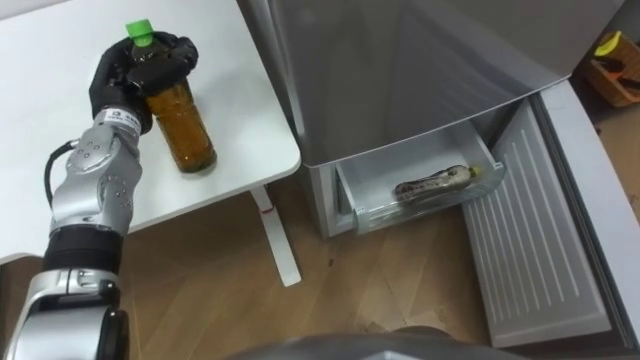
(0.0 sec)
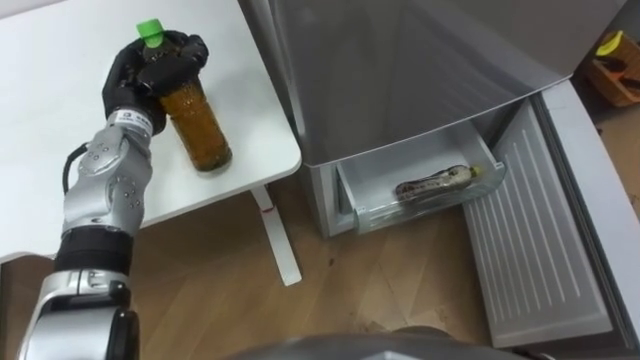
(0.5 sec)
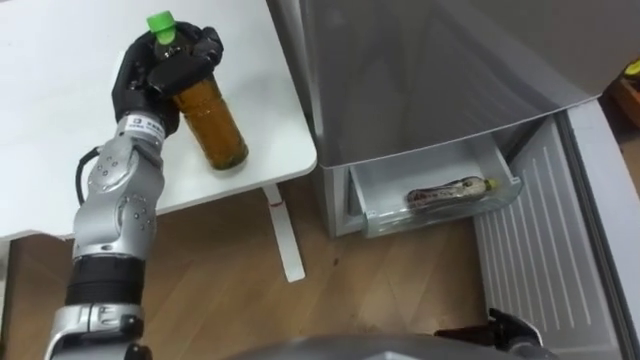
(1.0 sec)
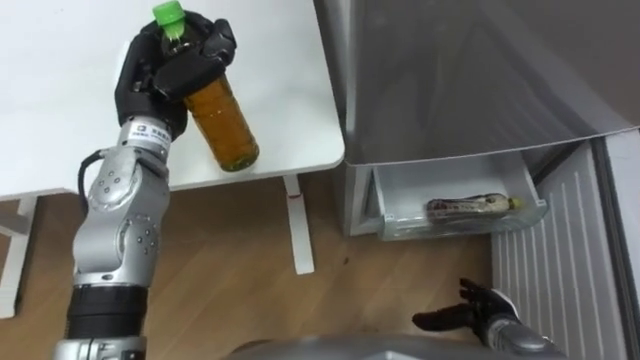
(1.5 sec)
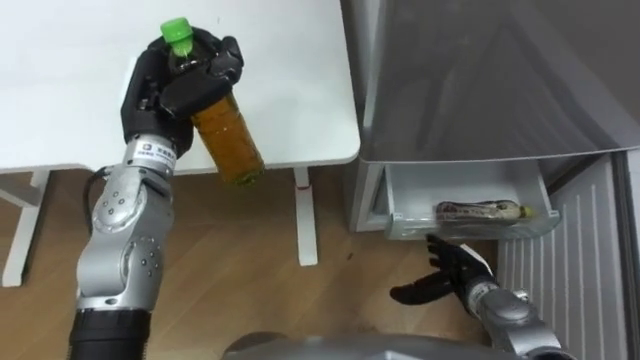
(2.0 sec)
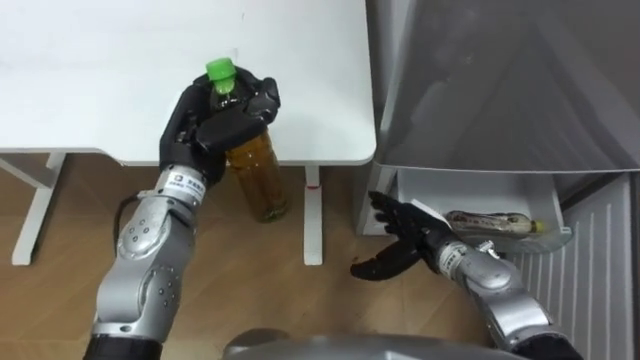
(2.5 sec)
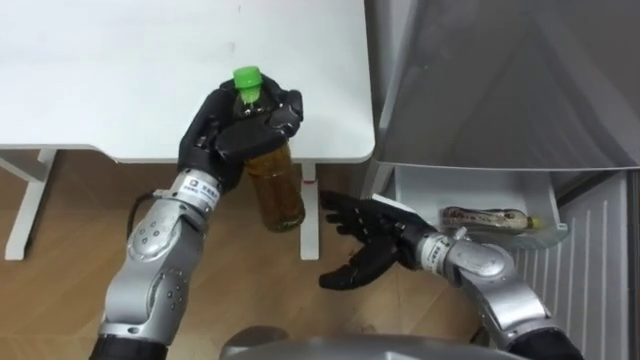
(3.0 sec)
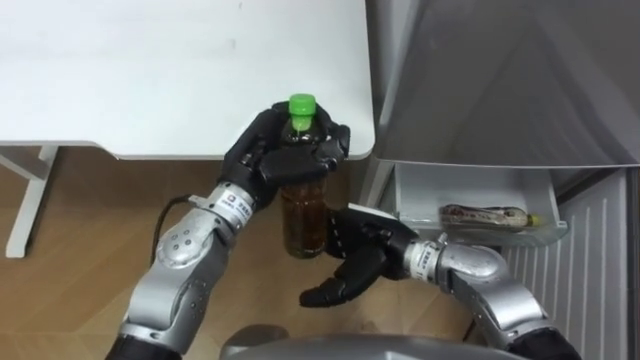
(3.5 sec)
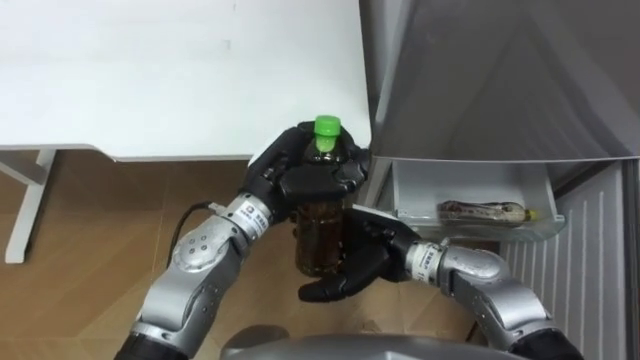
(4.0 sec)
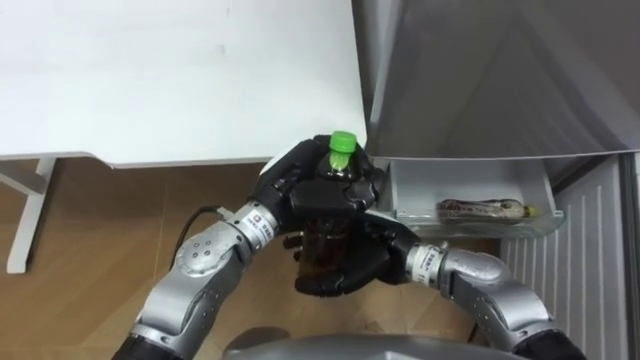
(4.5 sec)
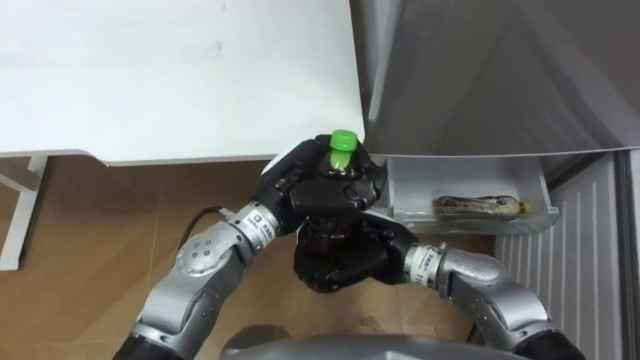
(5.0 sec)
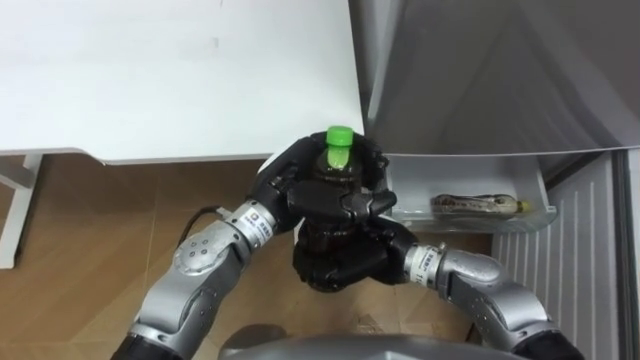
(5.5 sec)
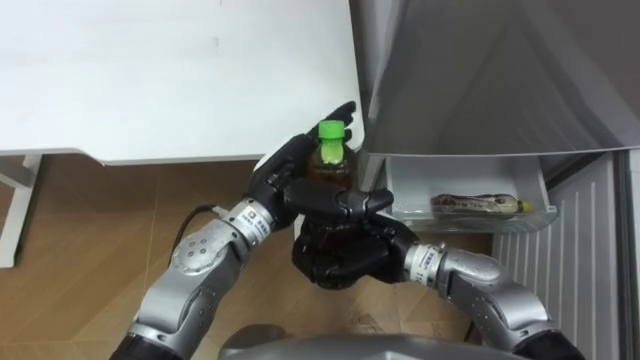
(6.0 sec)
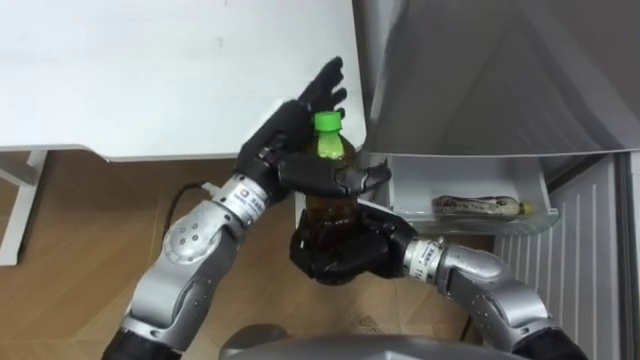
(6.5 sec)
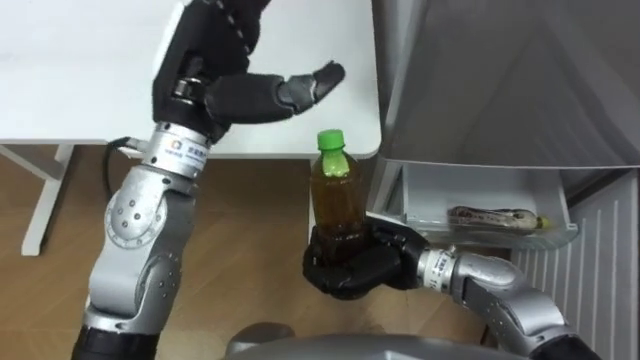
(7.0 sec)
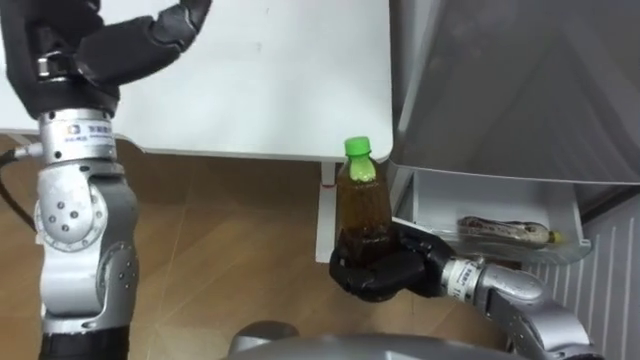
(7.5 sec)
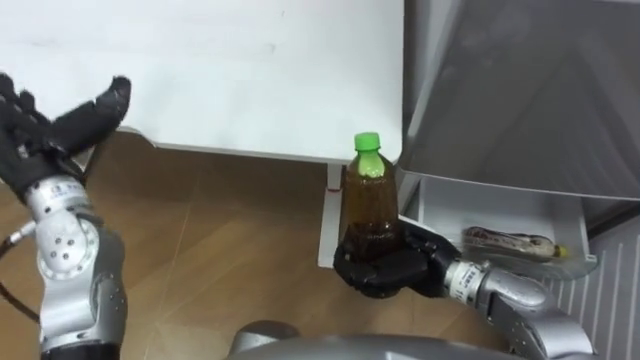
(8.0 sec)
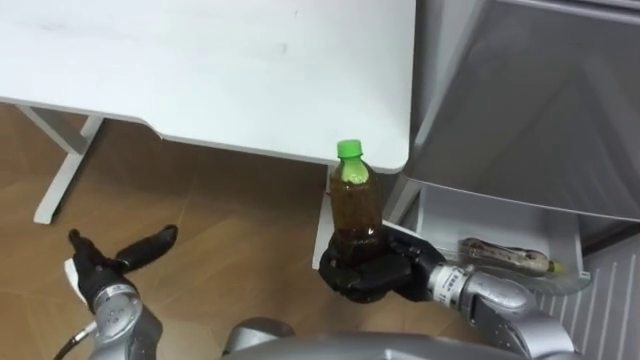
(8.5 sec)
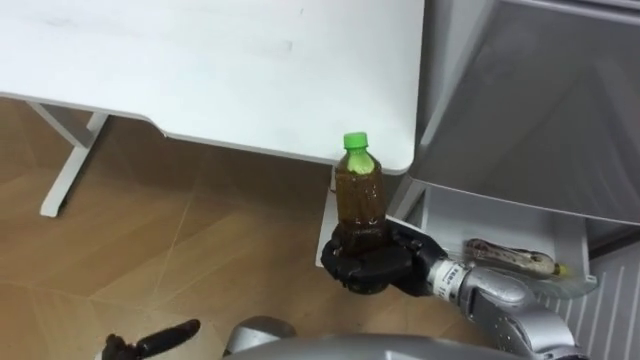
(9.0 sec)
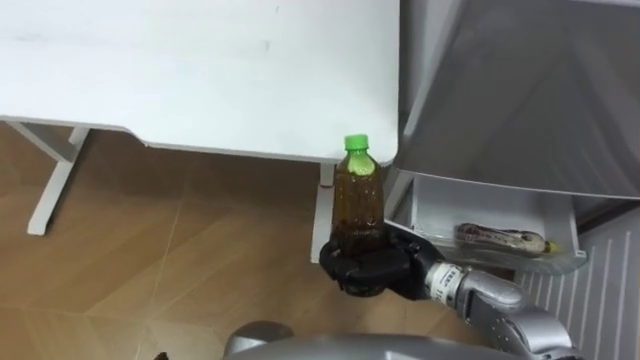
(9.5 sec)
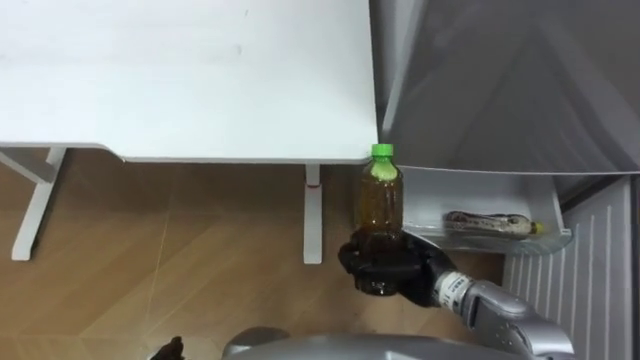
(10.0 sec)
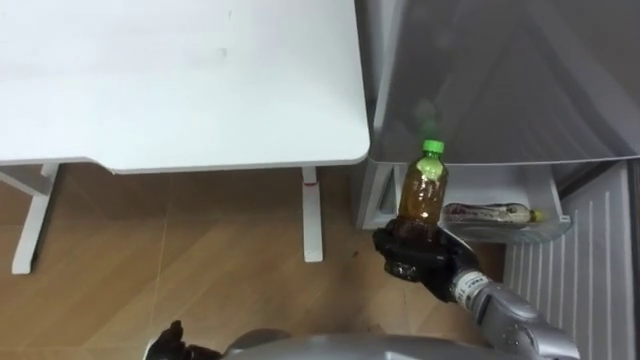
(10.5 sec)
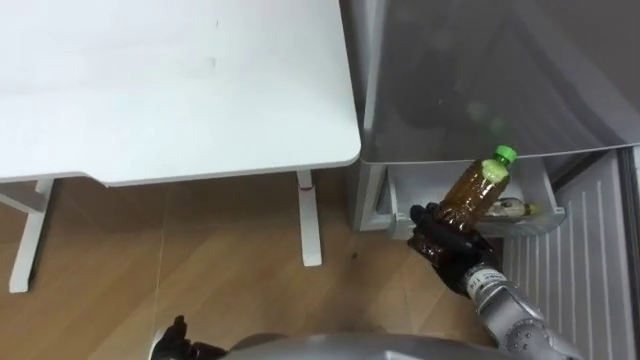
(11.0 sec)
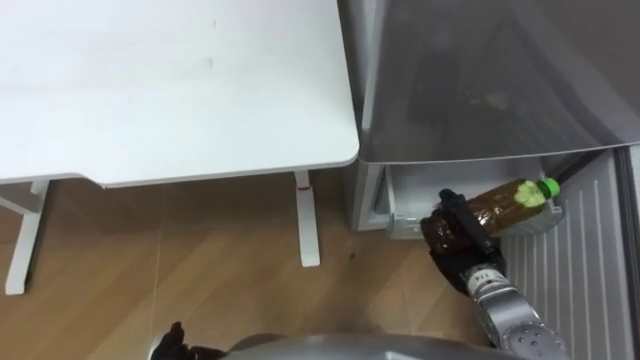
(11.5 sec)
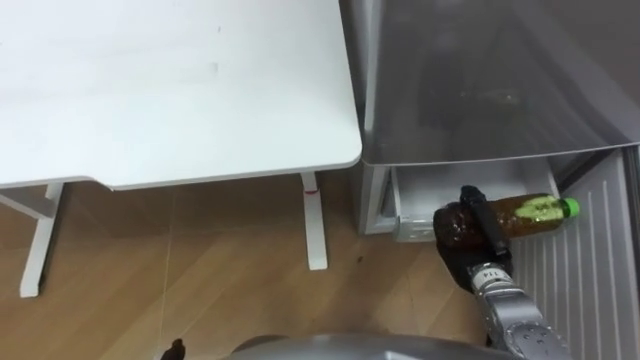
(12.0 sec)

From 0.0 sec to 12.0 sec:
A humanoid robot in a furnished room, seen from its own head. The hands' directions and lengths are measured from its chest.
Task of the whole recording: Place the drink on the table on the bottom shelf of the refrigerator, then close the drawer and the refrigerator door.
From 0.0 sec to 2.0 sec: The left hand shifts some 10 cm to the right and backward.
From 2.0 sec to 4.0 sec: The right hand shifts approximately 20 cm to the left and upward. Meanwhile the left hand shifts about 15 cm to the right and downward.
From 4.0 sec to 6.0 sec: The left hand opens; the right hand closes its fingers.
From 6.0 sec to 8.0 sec: The right hand shifts about 5 cm to the right. The left hand heads to the left, covering approximately 25 cm.
From 10.0 sec to 12.0 sec: The right hand travels to the right by roughly 10 cm.

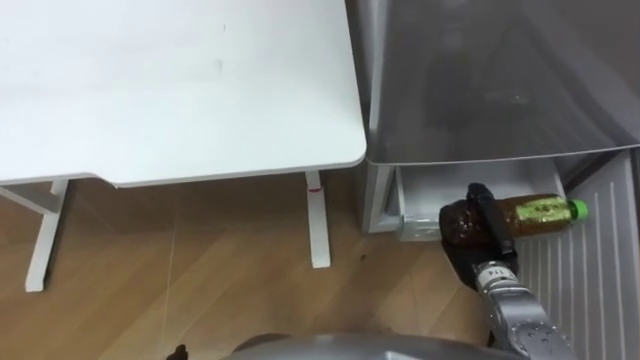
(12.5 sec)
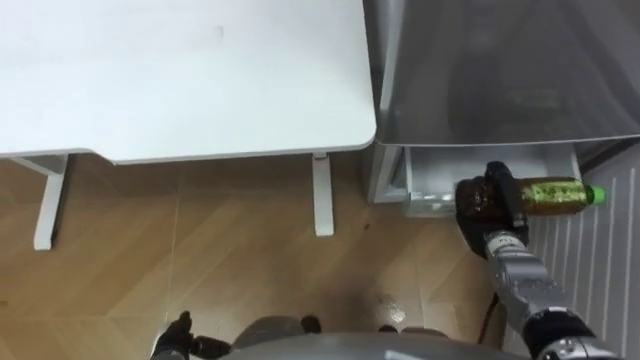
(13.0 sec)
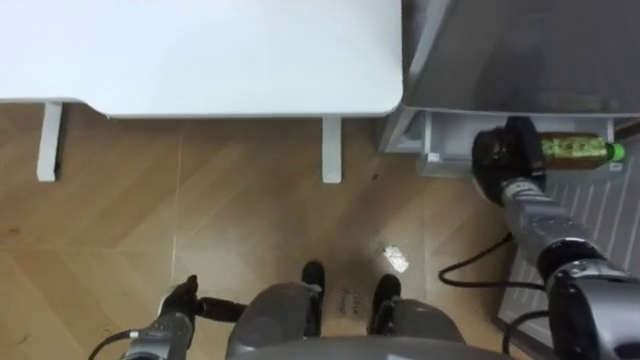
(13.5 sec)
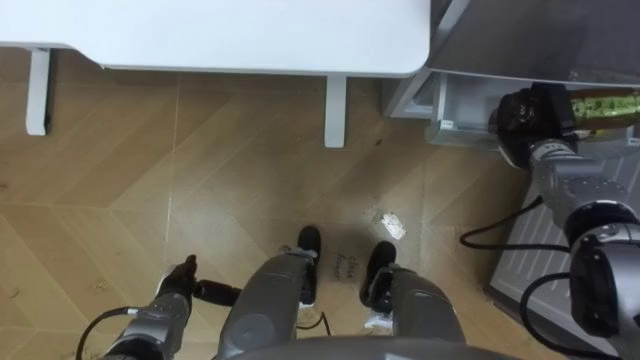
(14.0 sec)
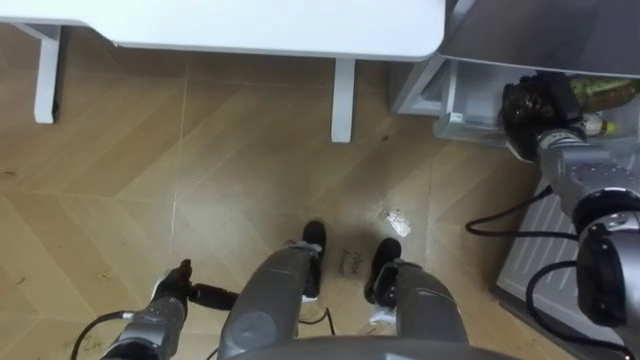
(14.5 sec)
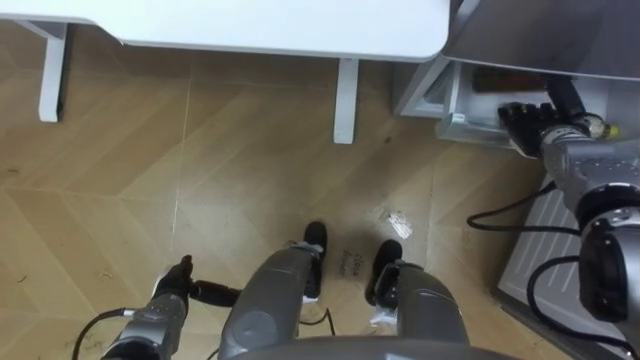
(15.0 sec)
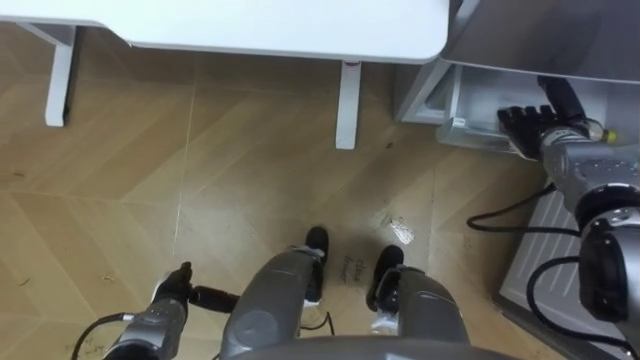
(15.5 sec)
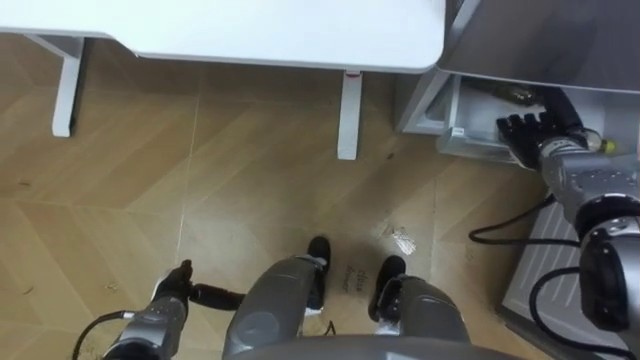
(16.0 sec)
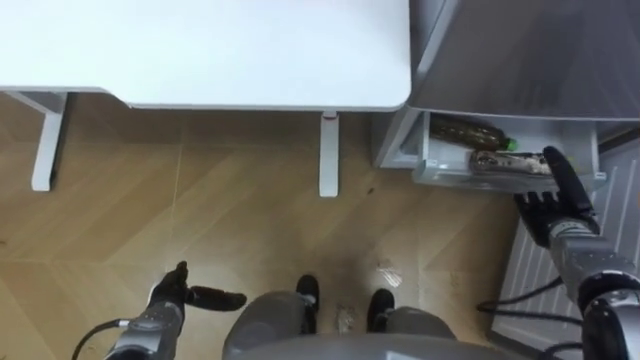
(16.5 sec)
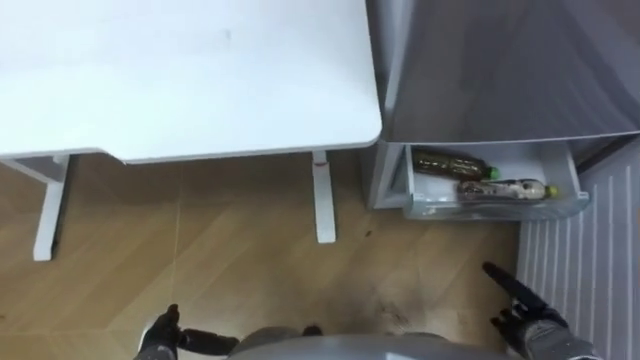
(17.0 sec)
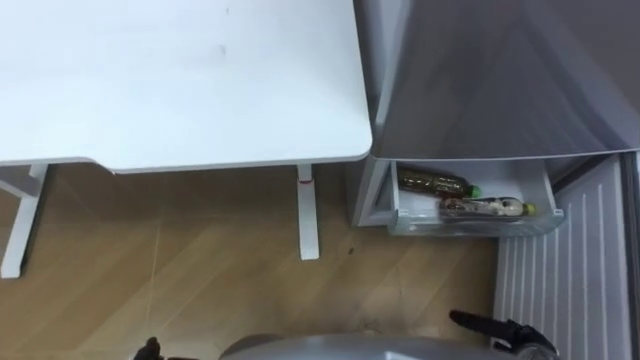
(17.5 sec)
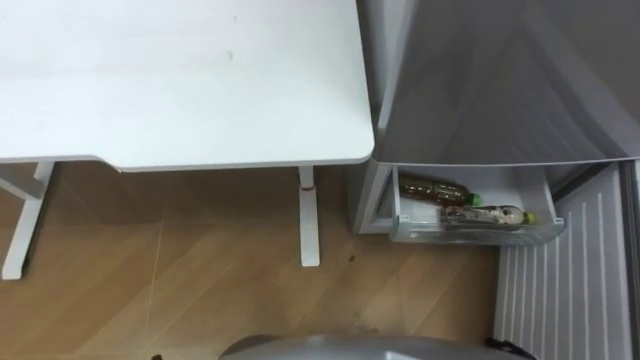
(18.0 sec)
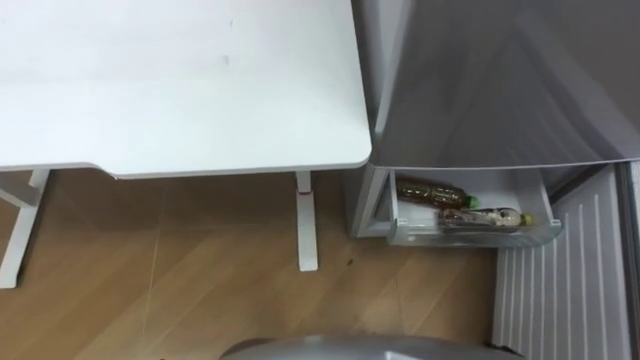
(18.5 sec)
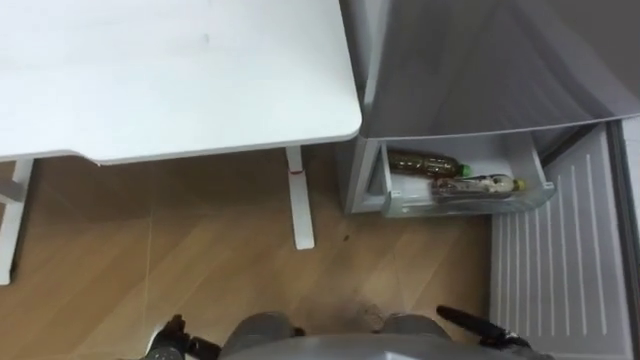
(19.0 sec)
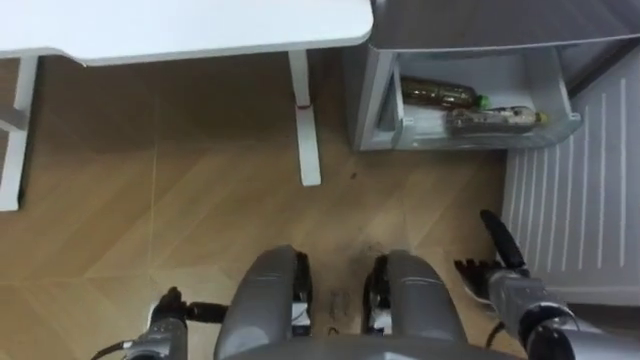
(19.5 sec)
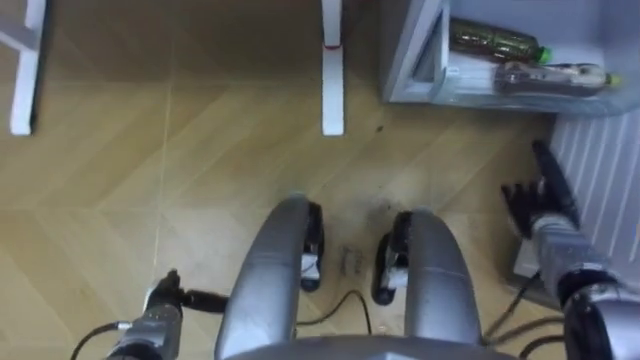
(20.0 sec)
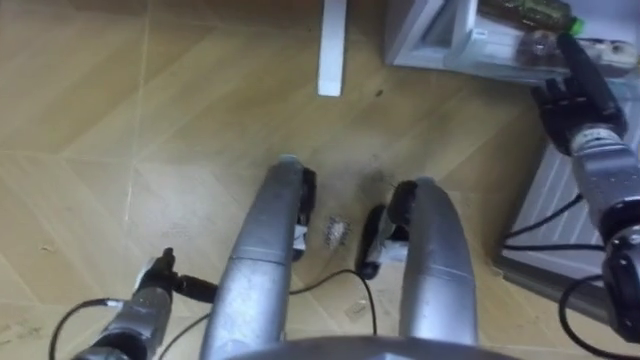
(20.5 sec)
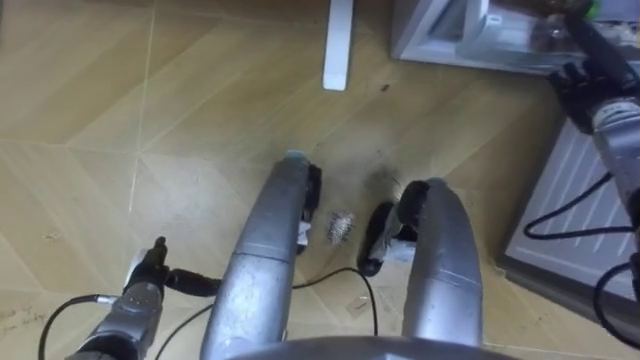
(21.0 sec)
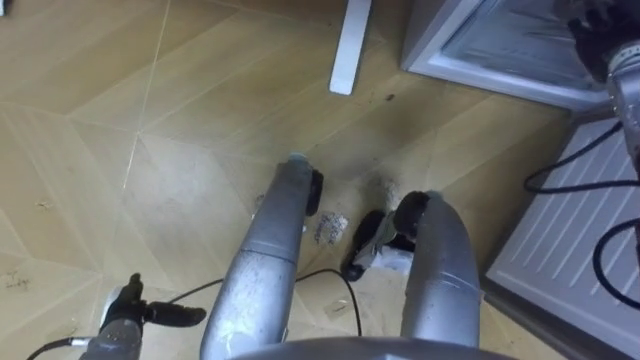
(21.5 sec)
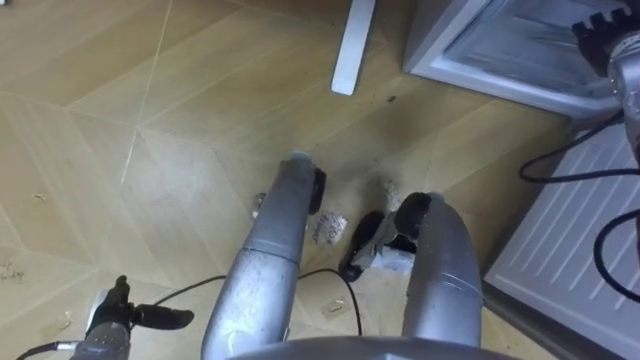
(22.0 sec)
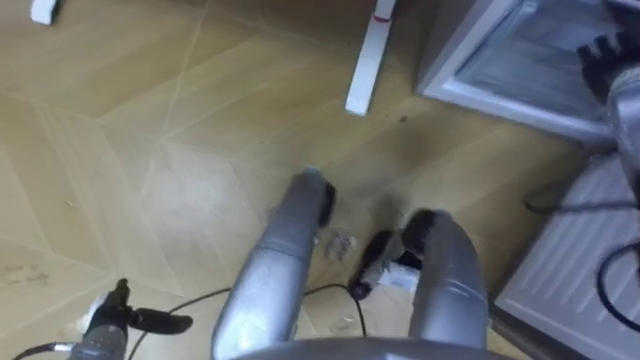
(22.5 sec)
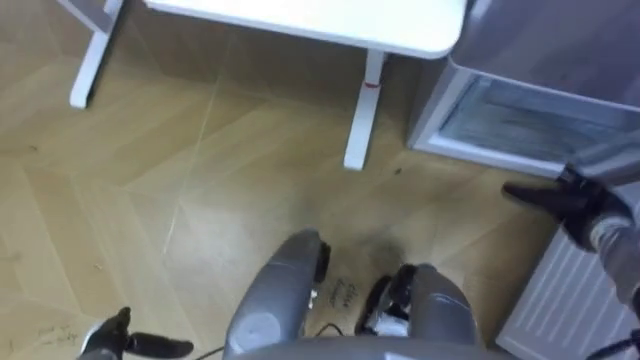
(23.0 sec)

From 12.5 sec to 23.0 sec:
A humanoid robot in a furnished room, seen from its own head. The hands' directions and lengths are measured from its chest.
Task of the whole recording: Place the drink on the table on the bottom shelf of the refrigerator, then close the drawer and the refrigerator door.
From 12.5 sec to 14.5 sec: The right hand heads forward, to the right and upward, covering approximately 20 cm.
From 14.5 sec to 16.5 sec: The right hand travels backward and downward by roughly 15 cm, and opens its fingers.
From 19.0 sec to 21.0 sec: The right hand heads forward and upward, covering approximately 40 cm. Meanwhile the left hand is displaced forward by approximately 10 cm.
From 21.0 sec to 23.0 sec: The left hand shifts approximately 10 cm backward; the right hand is displaced backward and downward by roughly 15 cm.
